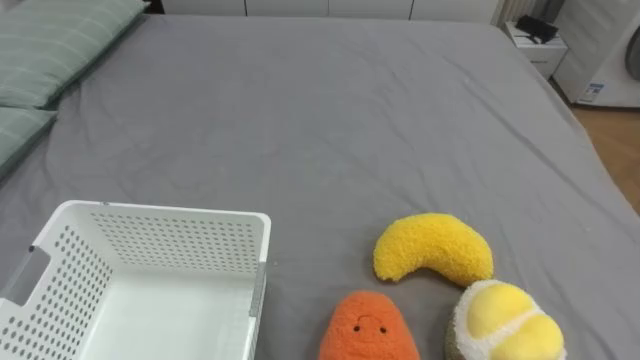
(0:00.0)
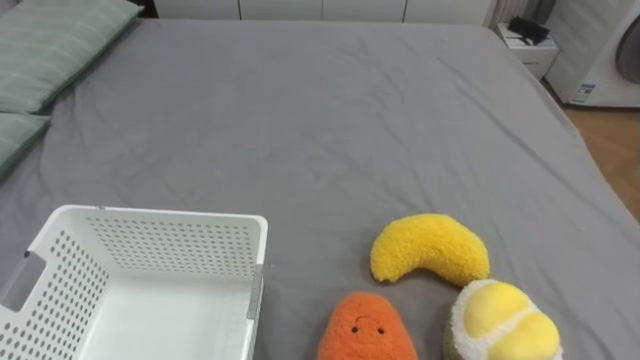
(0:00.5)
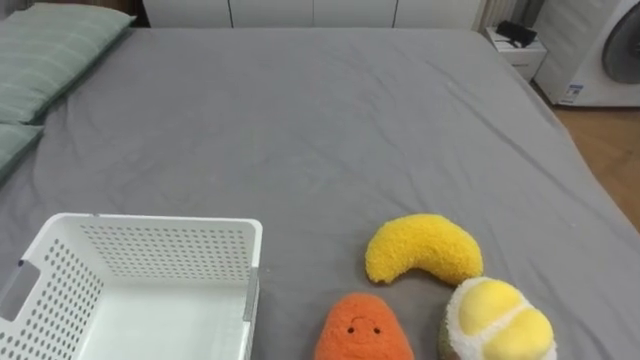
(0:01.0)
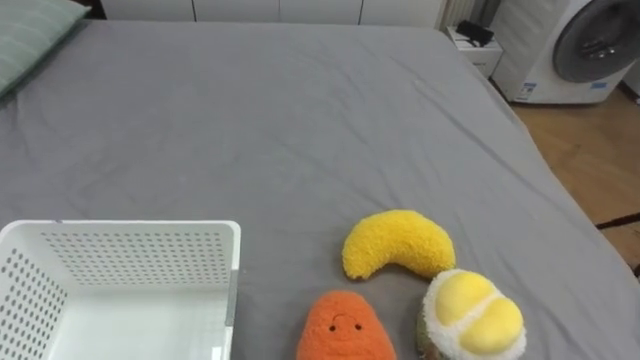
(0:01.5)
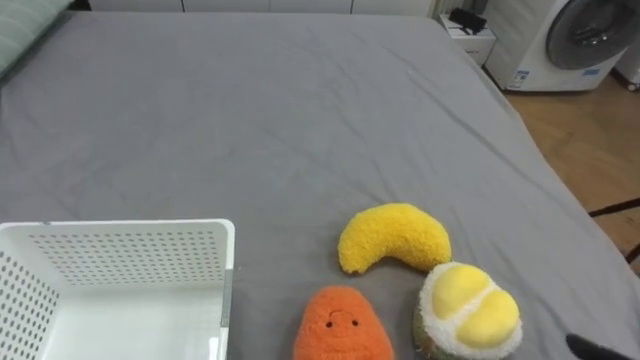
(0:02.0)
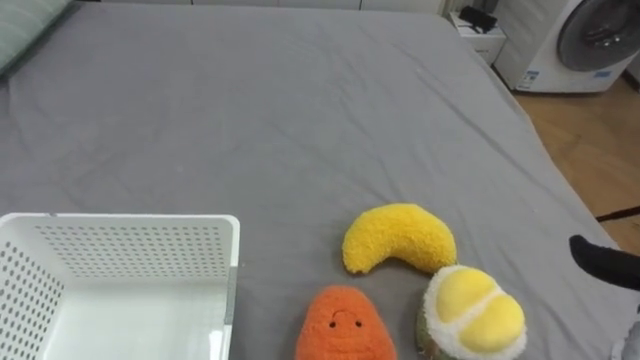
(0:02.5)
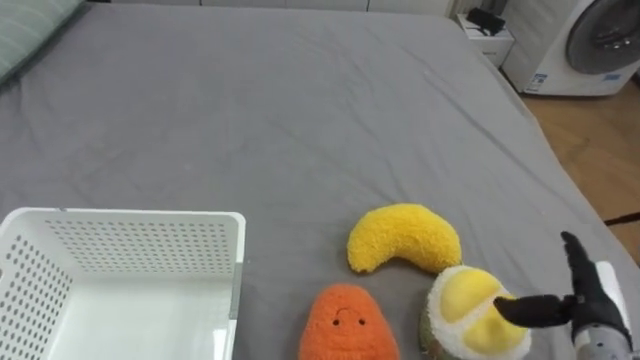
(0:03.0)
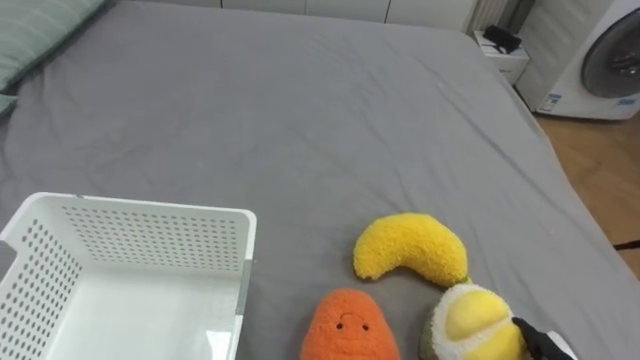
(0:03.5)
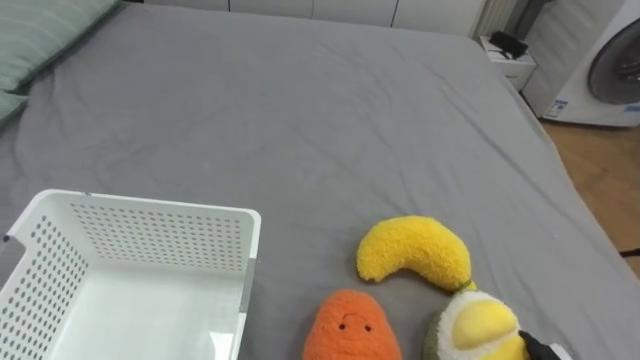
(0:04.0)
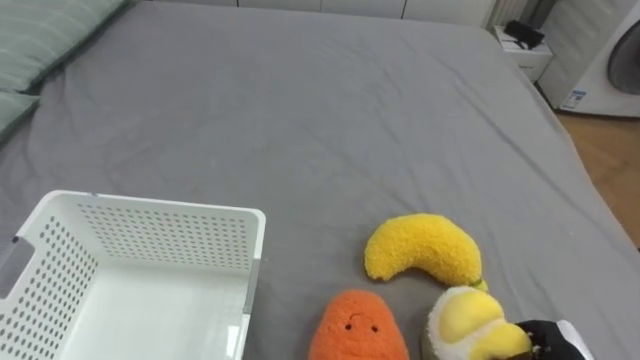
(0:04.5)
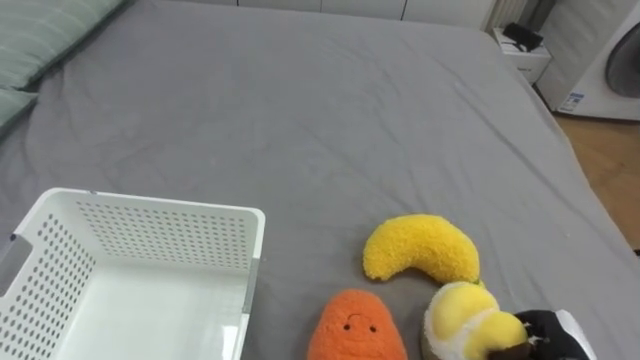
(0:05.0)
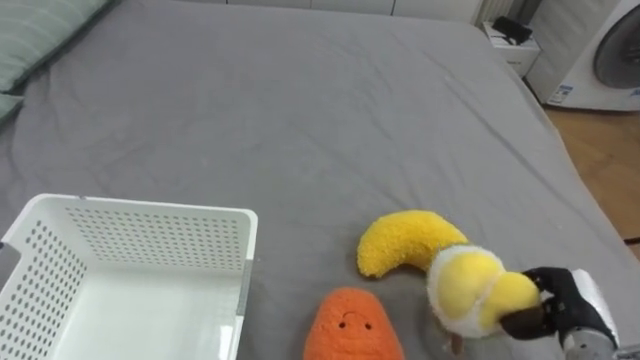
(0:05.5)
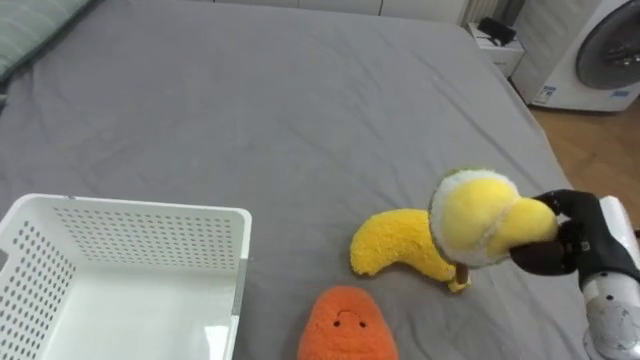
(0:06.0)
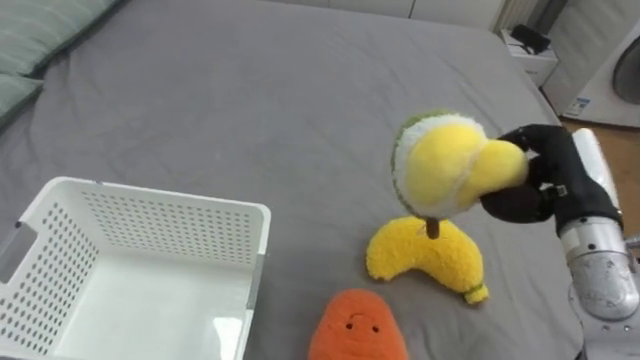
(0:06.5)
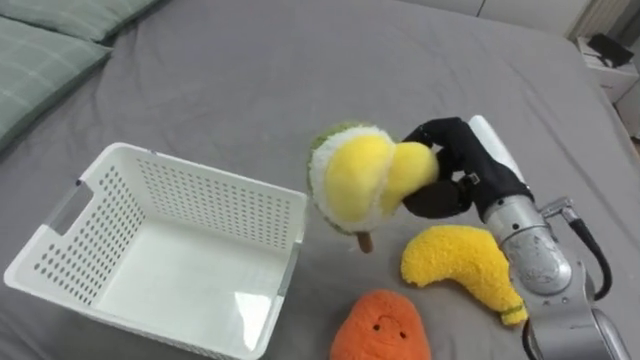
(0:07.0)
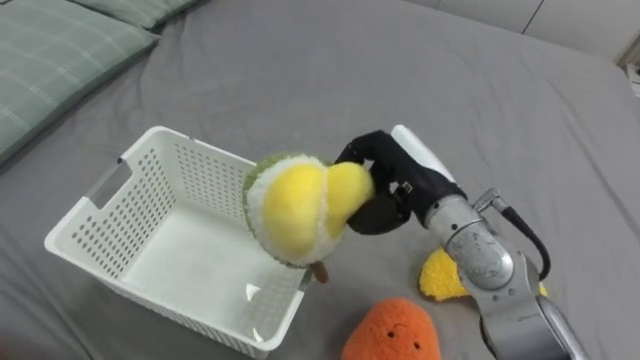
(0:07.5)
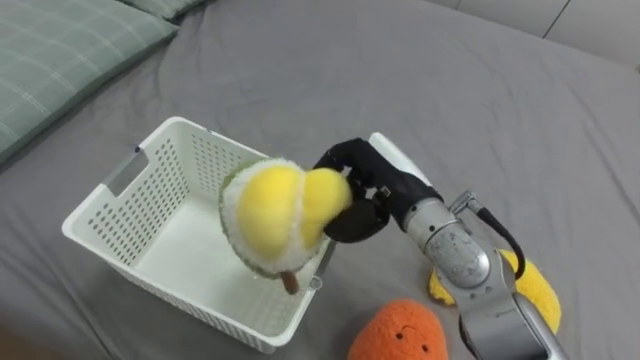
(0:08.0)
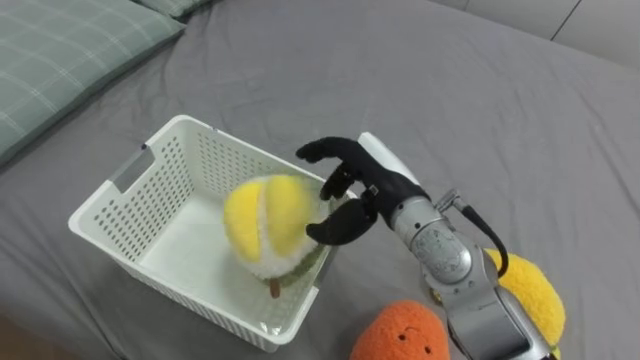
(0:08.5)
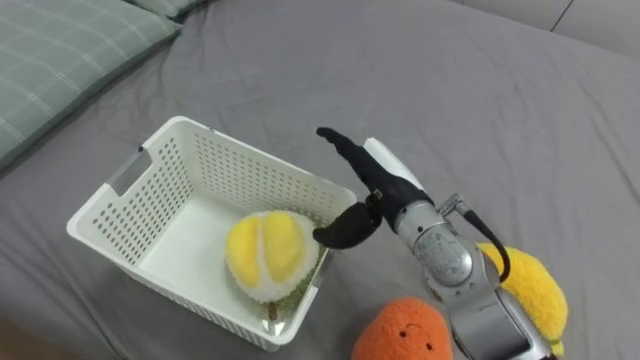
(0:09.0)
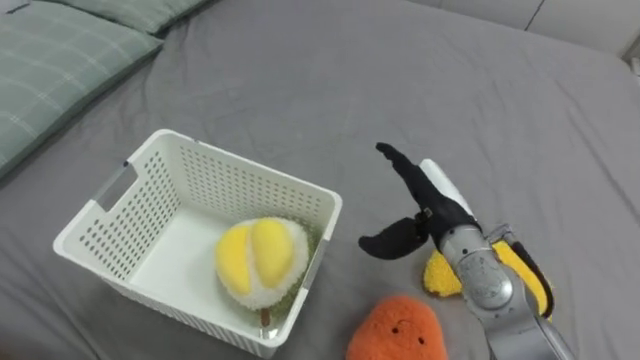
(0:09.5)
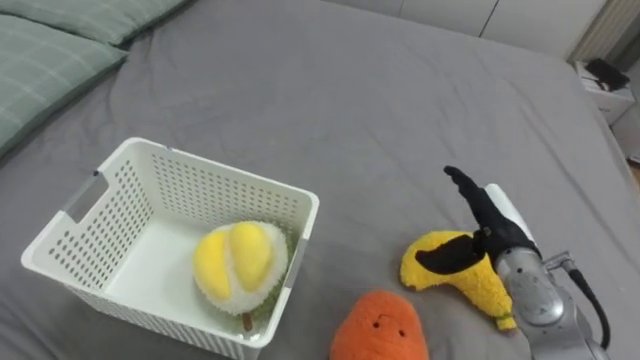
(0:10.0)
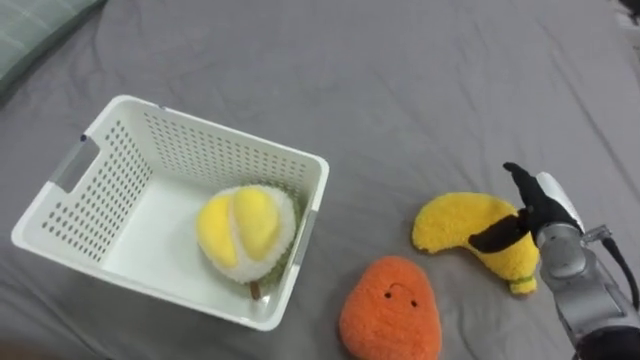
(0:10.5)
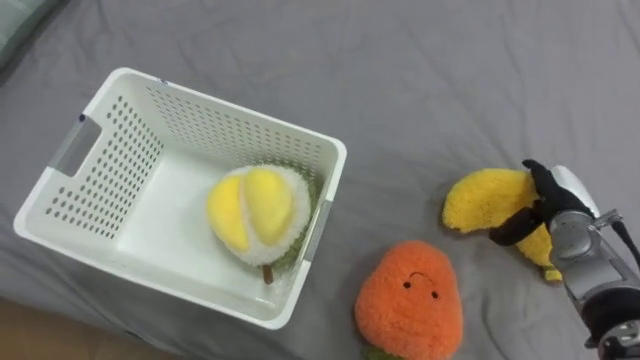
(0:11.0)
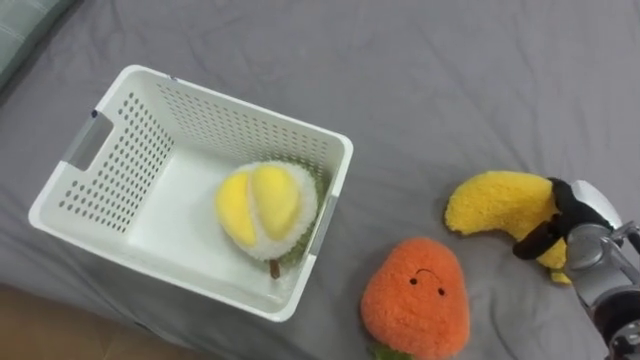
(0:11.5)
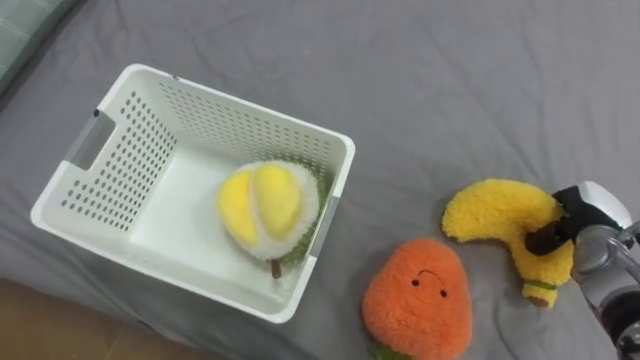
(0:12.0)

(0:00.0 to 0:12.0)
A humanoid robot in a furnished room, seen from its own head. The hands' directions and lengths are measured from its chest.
Task of the whole recording: Put the toys on the bed into the basket on the left.
0:06.0 - 0:08.0: The right hand goes roughly 25 cm to the left.
0:08.0 - 0:10.0: The right hand travels to the right and downward by roughly 15 cm, and opens.
0:10.0 - 0:12.0: The right hand travels to the right by approximately 15 cm, and closes its fingers.

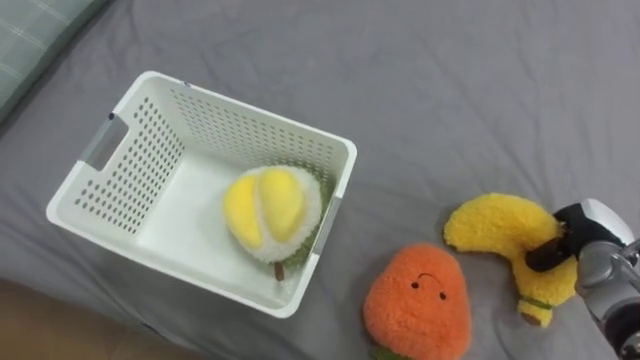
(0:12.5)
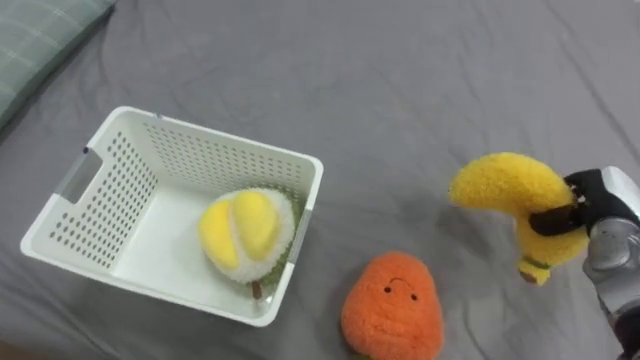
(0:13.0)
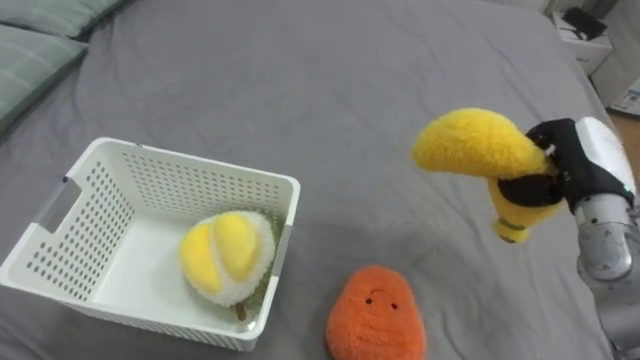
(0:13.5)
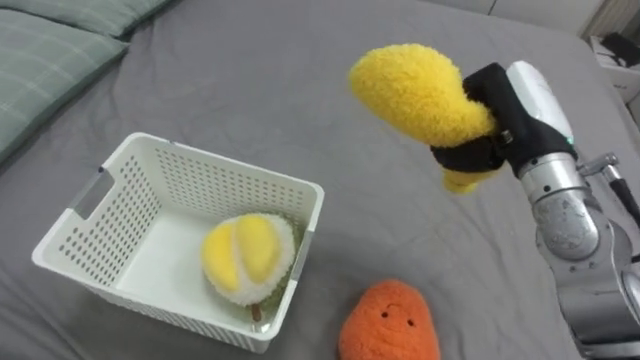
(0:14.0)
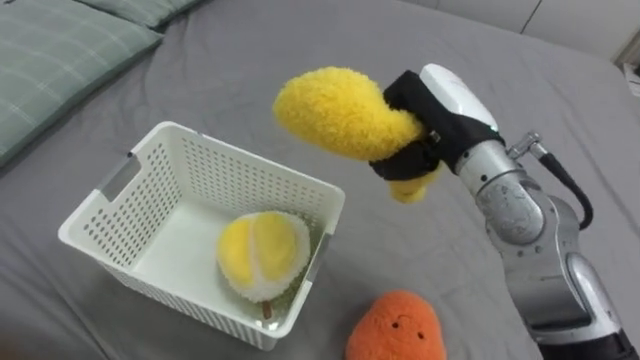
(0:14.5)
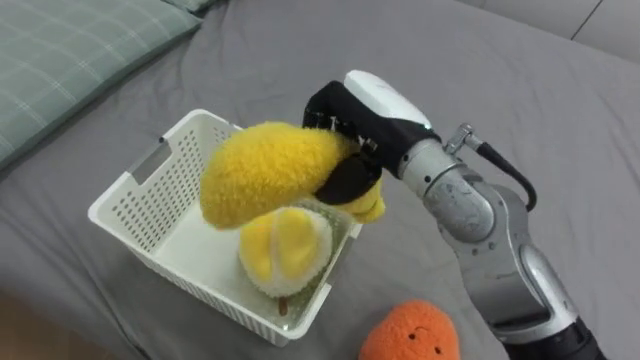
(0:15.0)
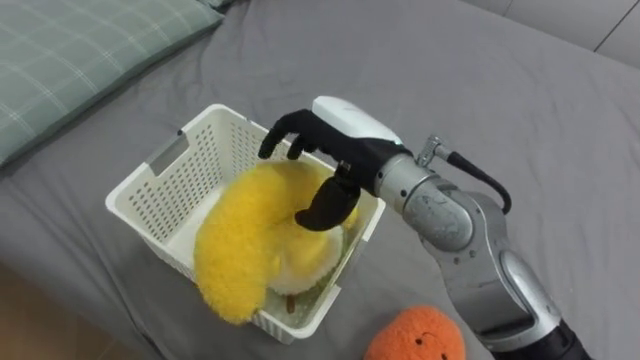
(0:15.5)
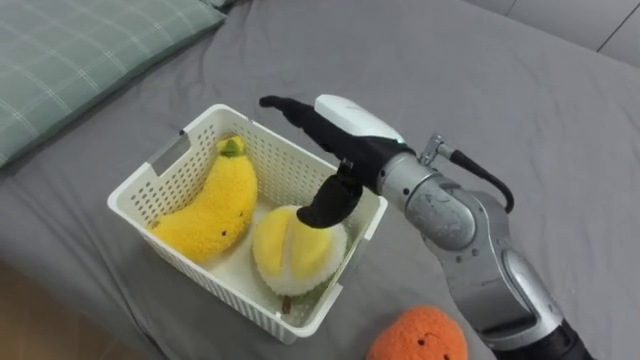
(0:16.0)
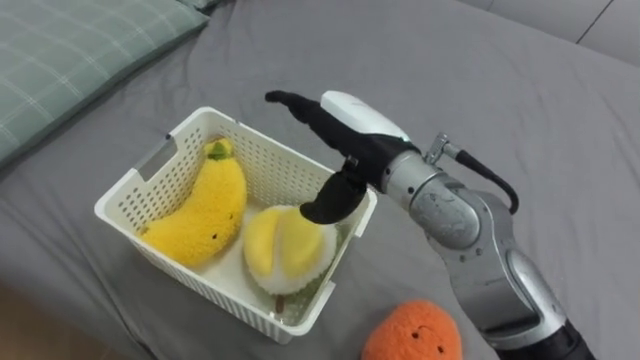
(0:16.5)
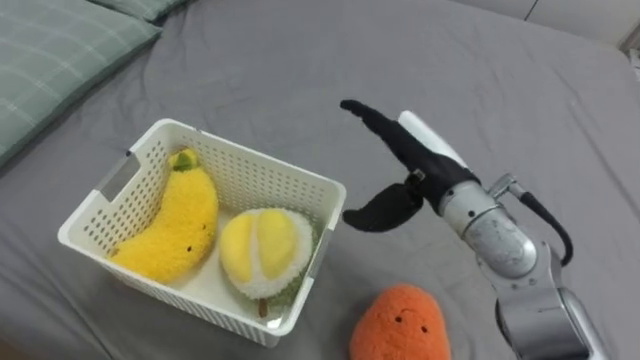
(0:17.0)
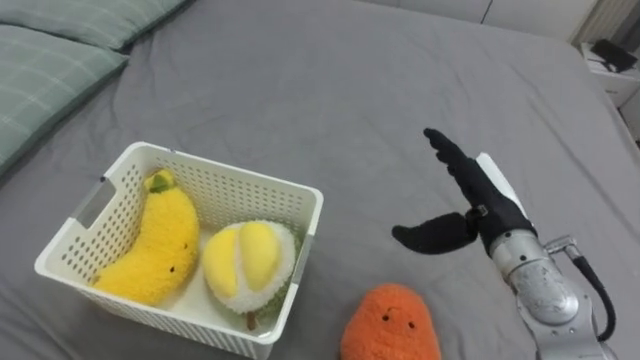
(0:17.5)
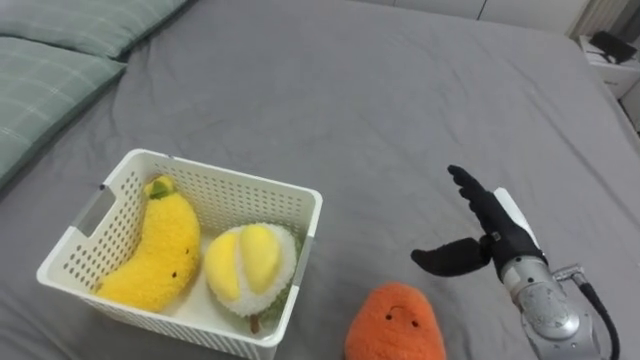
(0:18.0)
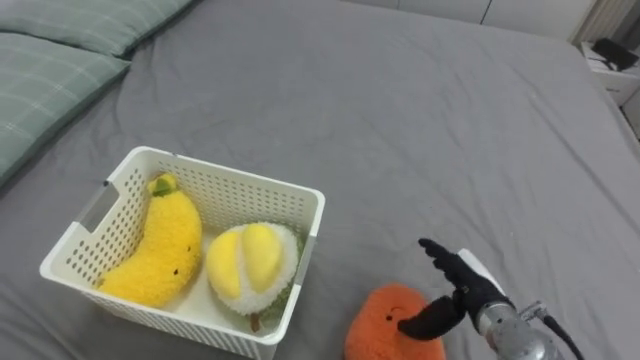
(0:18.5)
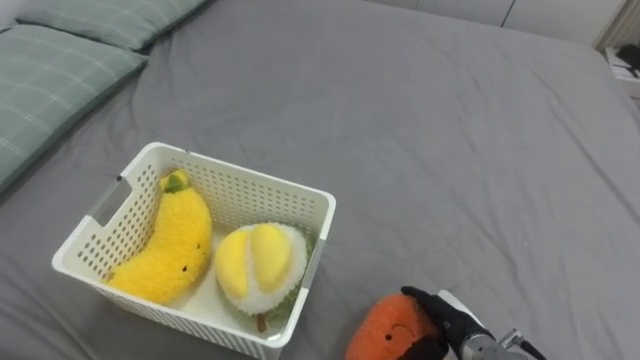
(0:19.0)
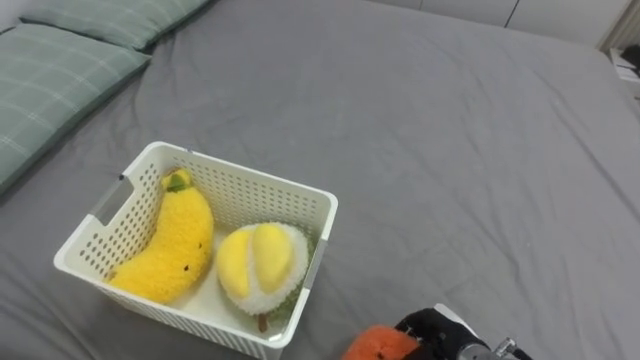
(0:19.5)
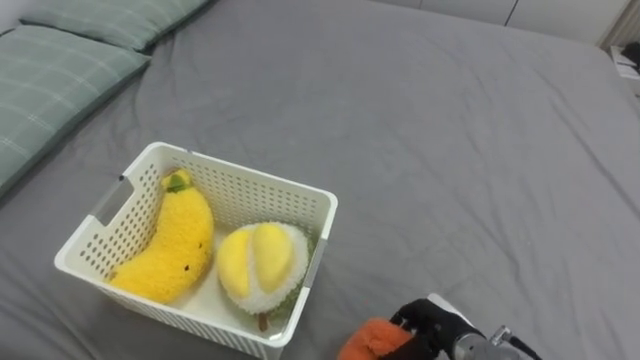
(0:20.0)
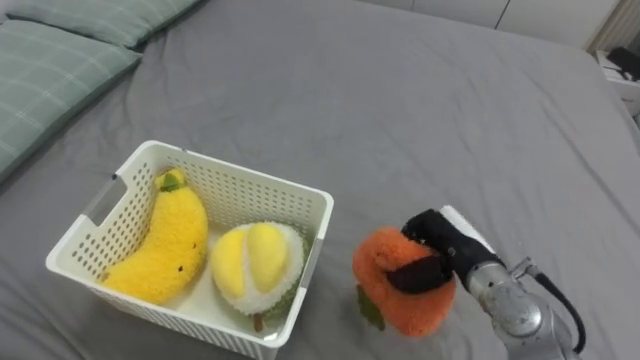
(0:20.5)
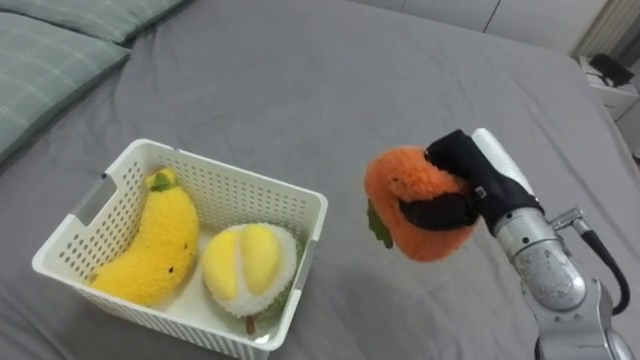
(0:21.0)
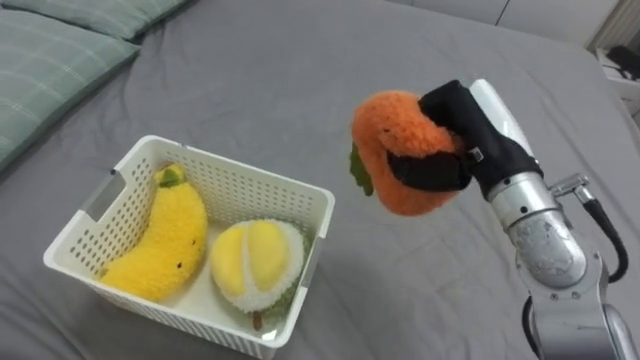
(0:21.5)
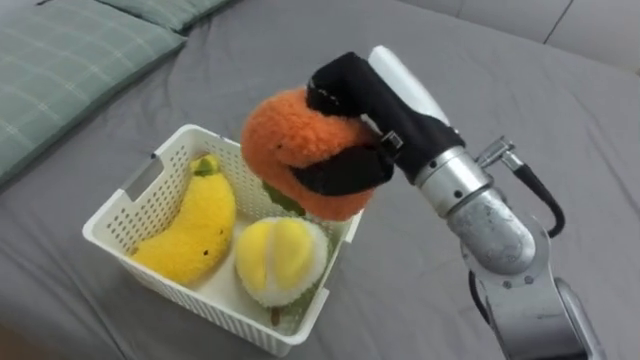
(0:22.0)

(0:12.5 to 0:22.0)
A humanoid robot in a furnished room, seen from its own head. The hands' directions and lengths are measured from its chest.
Task of the whole recording: Put the toys on the bed into the basket on the left.
0:12.5 - 0:14.5: The right hand moves to the left and upward, roughly 30 cm.
0:14.5 - 0:16.5: The right hand travels to the left by roughly 10 cm, and opens its fingers.
0:16.5 - 0:18.0: The right hand moves to the right and downward, some 25 cm.
0:18.0 - 0:20.0: The right hand is displaced downward and backward by roughly 15 cm, and closes its fingers.
0:20.0 - 0:22.0: The right hand heads upward, covering about 35 cm.
